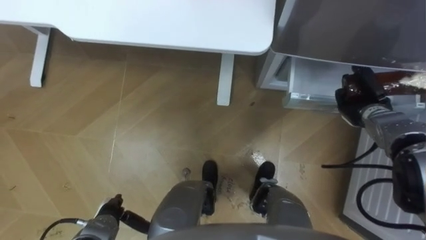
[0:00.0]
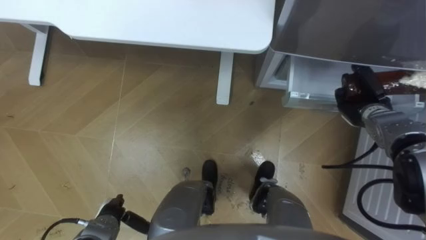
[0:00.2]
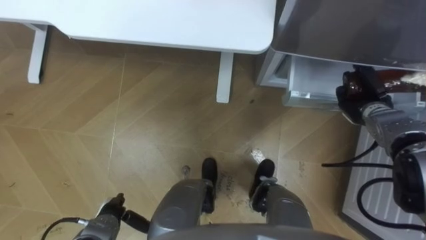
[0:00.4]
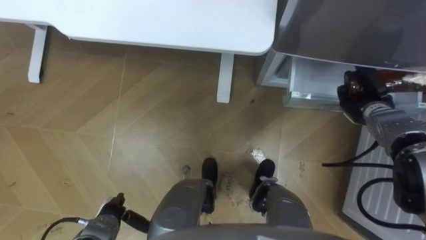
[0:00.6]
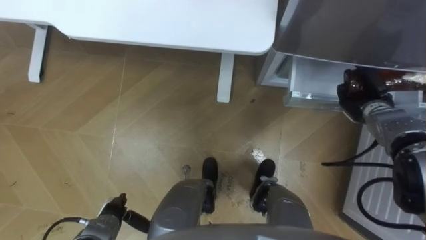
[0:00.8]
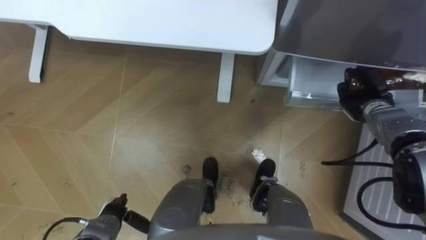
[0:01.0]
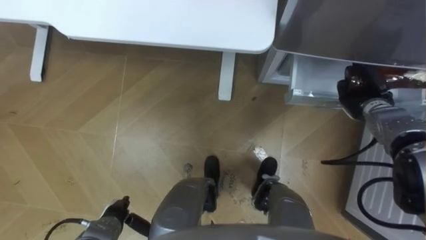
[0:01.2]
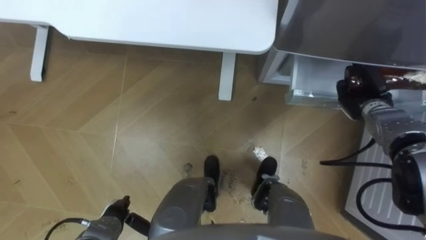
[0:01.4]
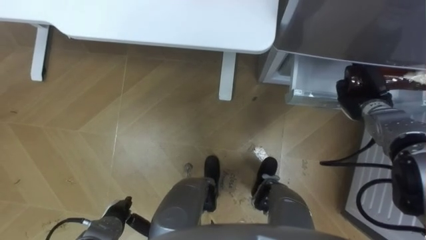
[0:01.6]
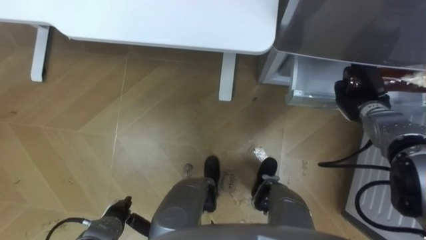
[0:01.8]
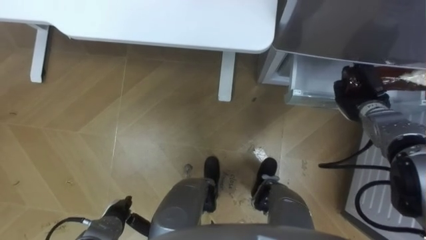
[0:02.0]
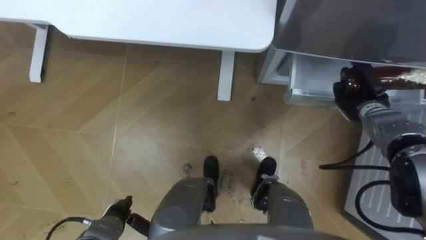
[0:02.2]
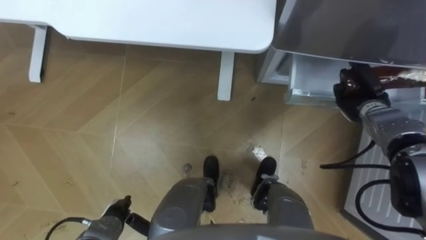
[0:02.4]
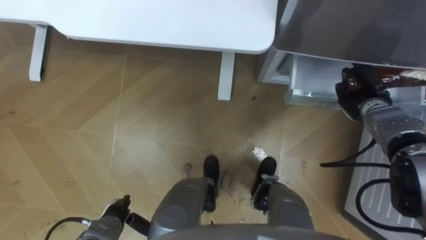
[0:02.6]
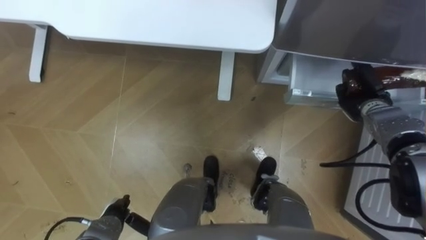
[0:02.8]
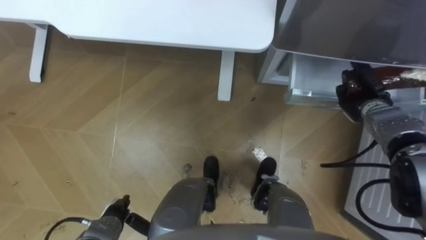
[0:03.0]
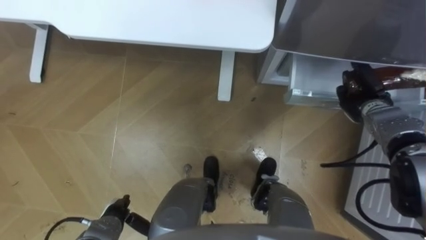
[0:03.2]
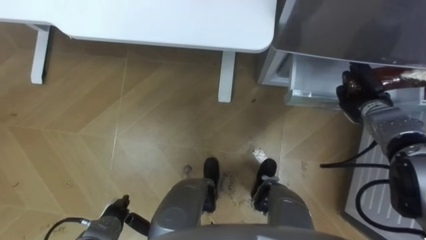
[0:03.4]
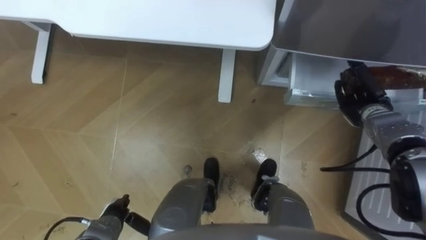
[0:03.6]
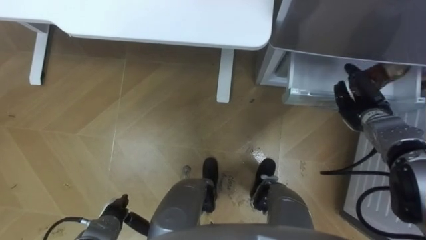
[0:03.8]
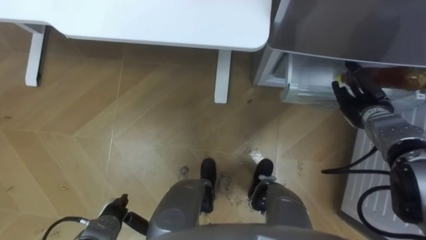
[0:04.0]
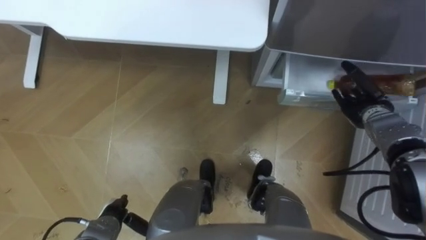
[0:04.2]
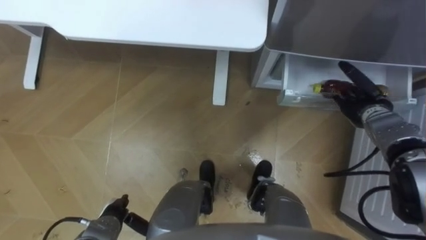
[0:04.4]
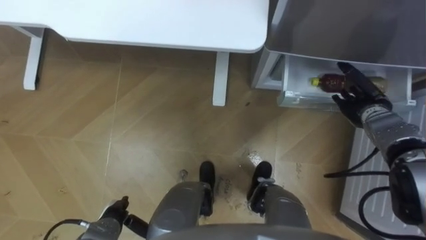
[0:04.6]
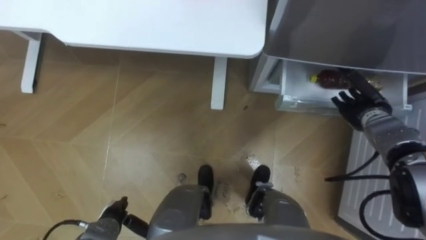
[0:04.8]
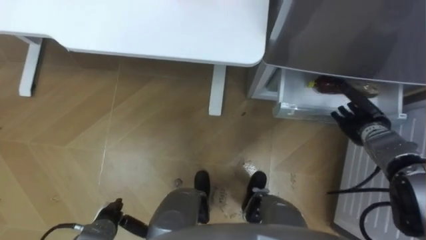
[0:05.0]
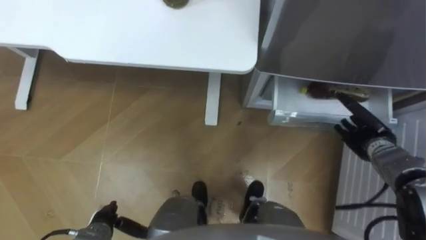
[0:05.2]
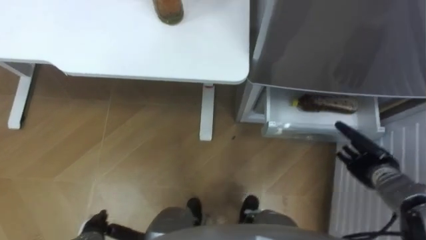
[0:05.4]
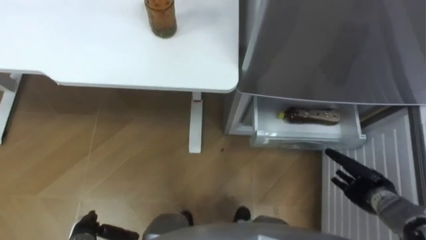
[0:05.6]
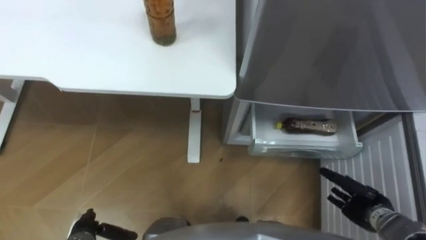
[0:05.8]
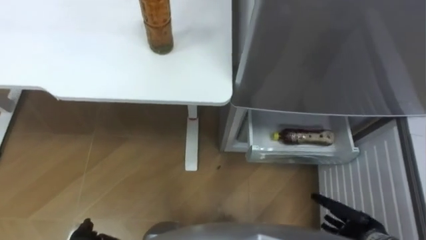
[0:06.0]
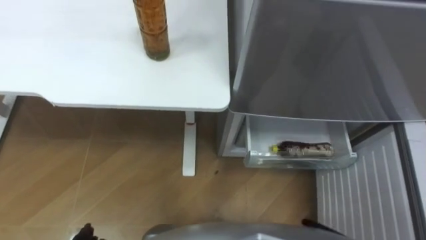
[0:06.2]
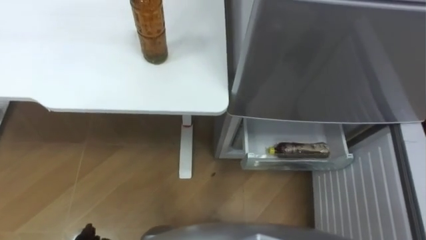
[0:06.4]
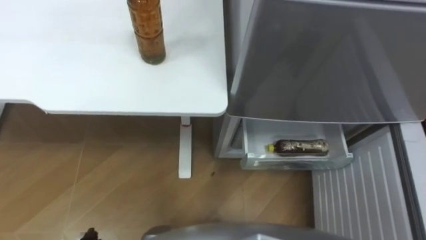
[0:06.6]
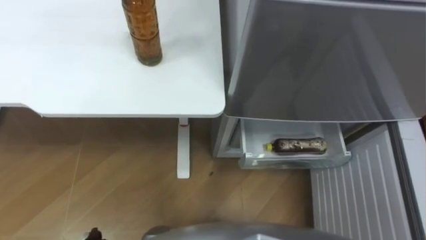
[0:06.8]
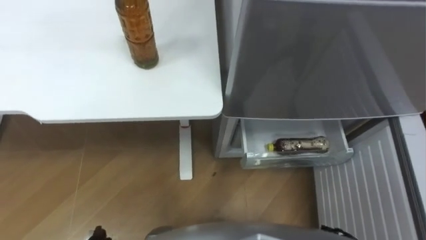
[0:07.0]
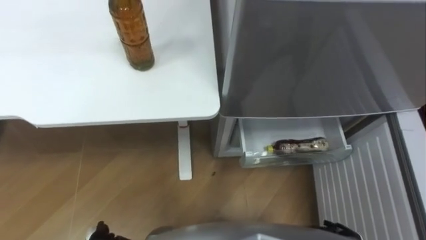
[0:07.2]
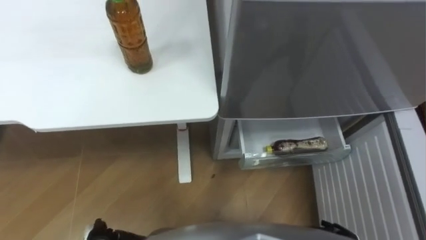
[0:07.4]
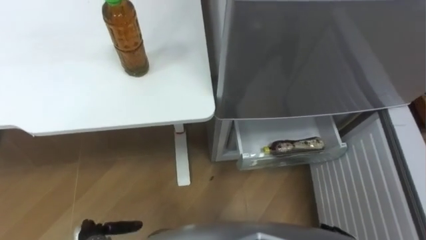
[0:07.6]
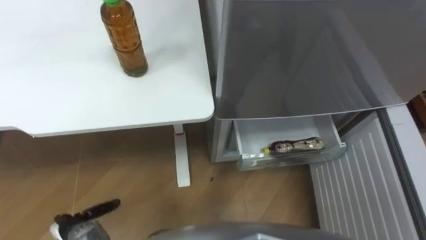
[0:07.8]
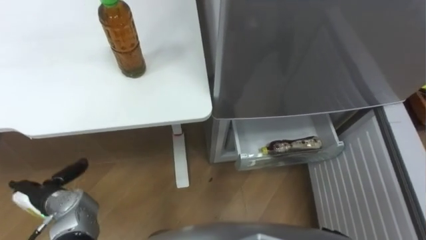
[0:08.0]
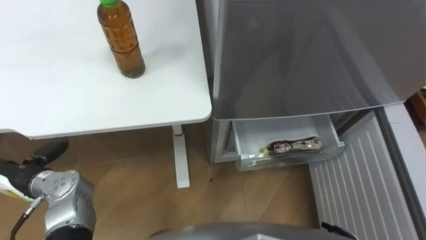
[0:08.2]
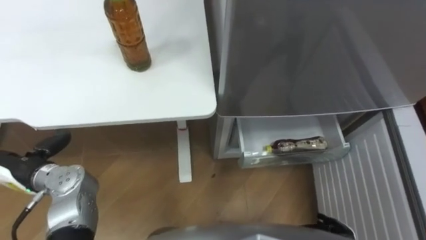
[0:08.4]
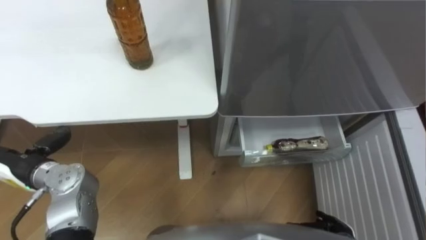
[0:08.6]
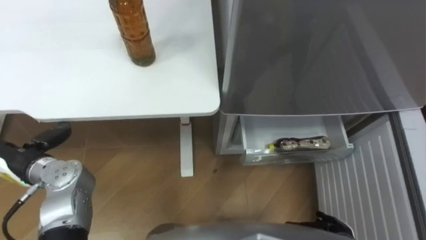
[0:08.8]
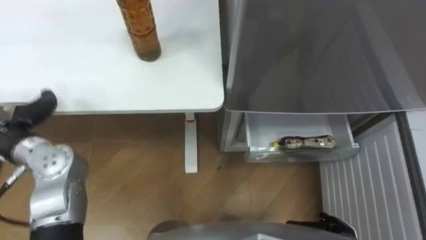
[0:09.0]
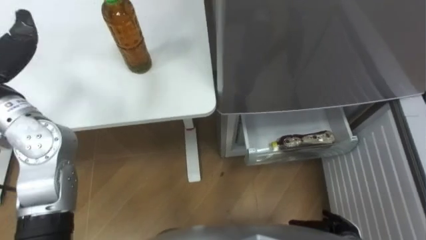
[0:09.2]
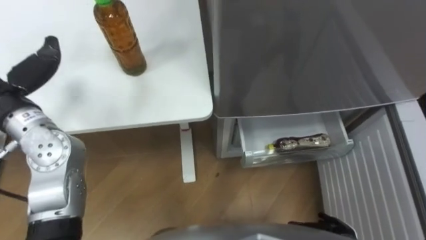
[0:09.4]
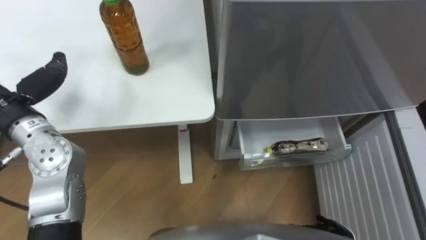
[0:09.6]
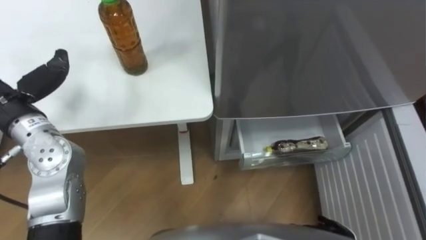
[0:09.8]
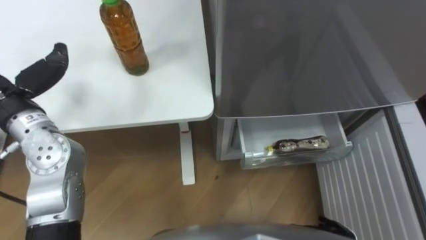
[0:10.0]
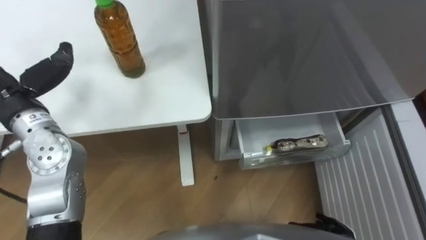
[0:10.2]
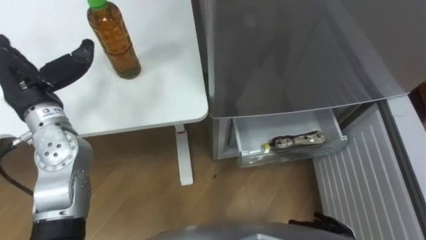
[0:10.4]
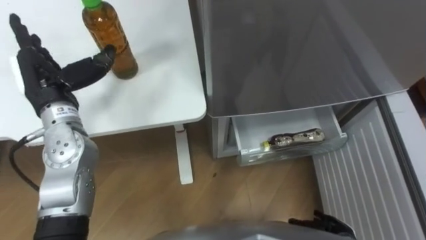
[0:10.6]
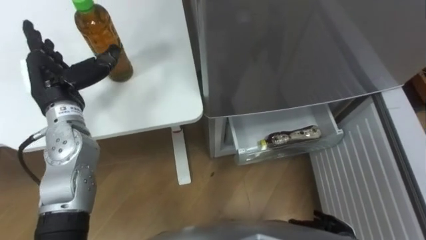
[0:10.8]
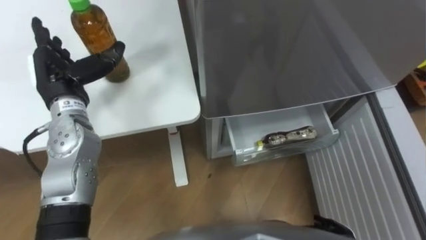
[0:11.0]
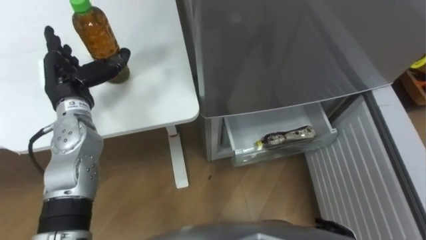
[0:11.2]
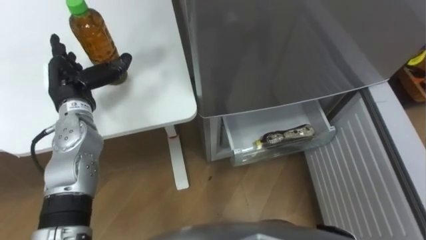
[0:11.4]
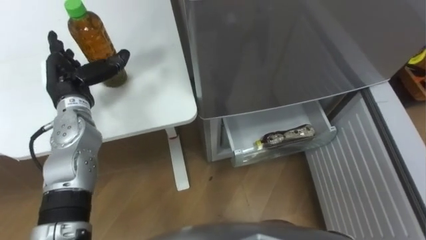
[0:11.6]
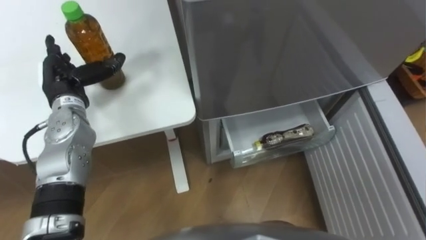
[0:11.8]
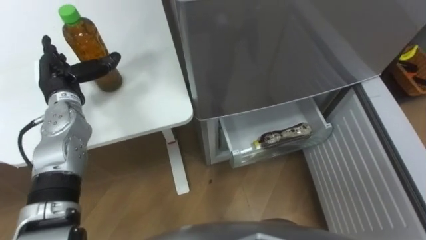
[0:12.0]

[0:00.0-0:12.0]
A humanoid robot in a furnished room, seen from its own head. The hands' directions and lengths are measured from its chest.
Task of the whole recording: Place the drink on the table on the bottom shelf of the refrigerator, then close the drawer and the refrigerator door.
0:01.6 to 0:03.0: The hands stay close to where they were, moving slightly.
0:03.0 to 0:04.4: The right hand opens its fingers.
0:04.4 to 0:06.0: The right hand goes some 25 cm backward and downward.
0:10.4 to 0:12.0: The left hand heads downward and forward, covering some 10 cm.

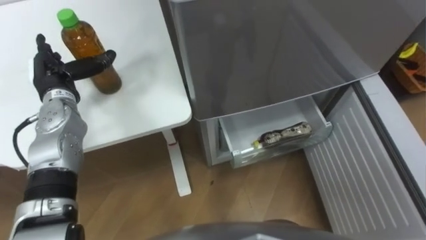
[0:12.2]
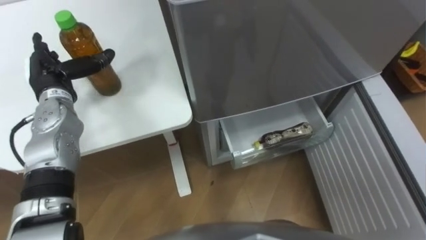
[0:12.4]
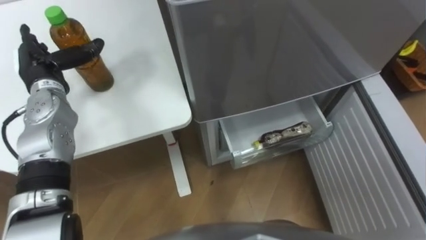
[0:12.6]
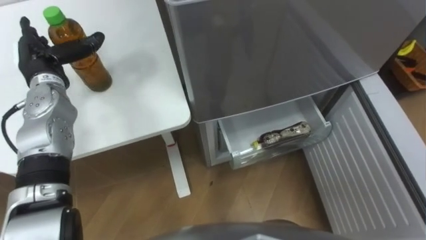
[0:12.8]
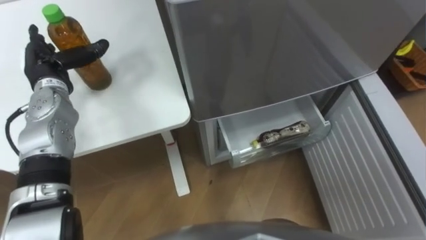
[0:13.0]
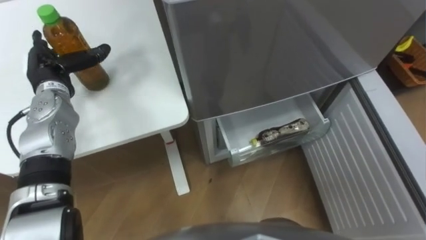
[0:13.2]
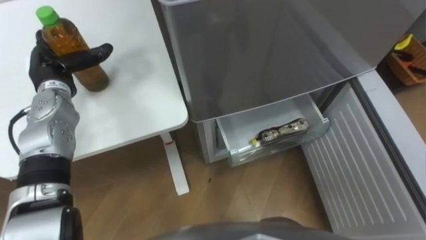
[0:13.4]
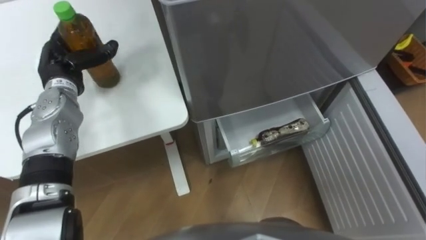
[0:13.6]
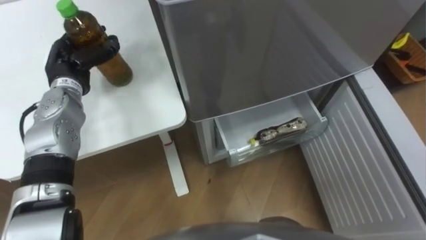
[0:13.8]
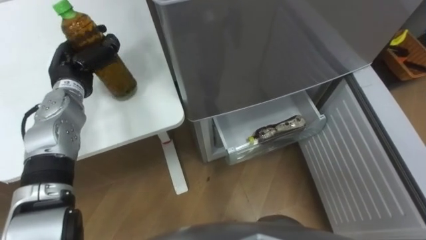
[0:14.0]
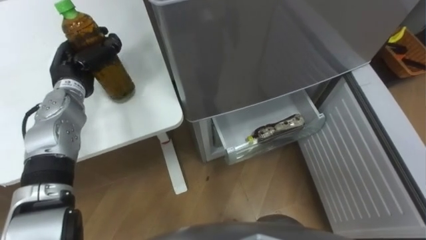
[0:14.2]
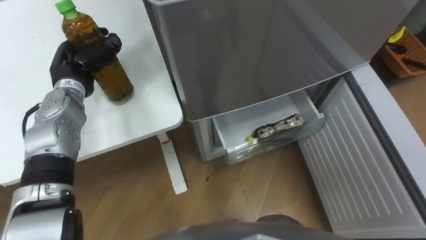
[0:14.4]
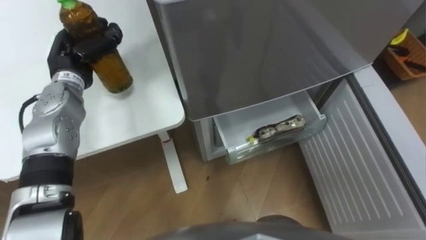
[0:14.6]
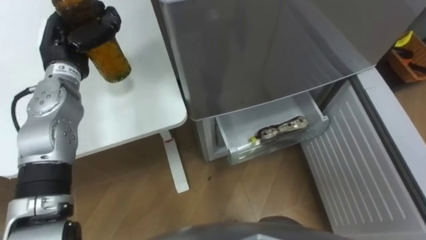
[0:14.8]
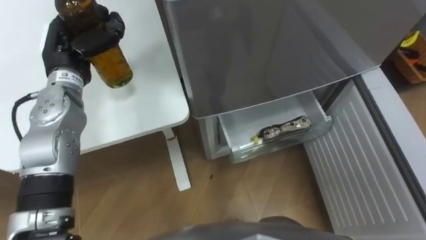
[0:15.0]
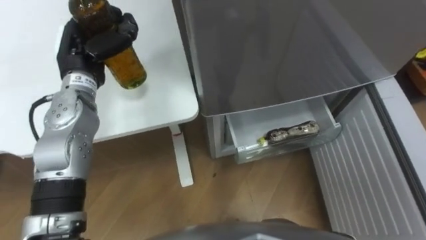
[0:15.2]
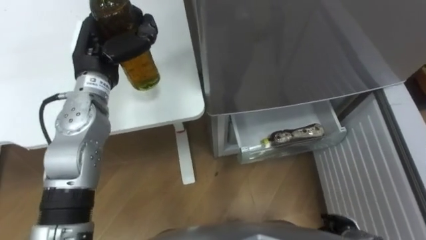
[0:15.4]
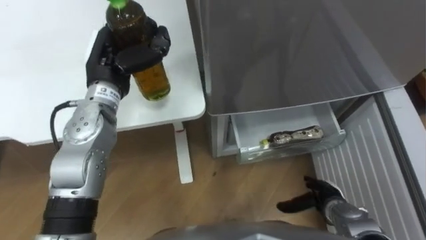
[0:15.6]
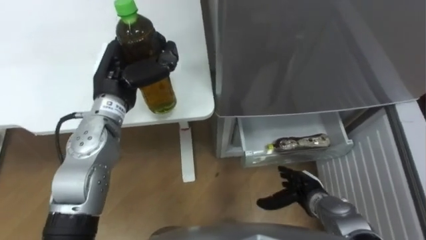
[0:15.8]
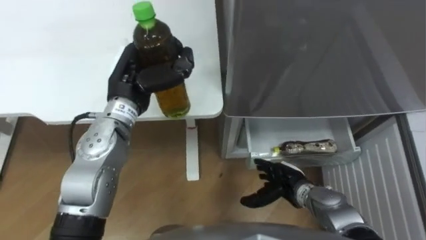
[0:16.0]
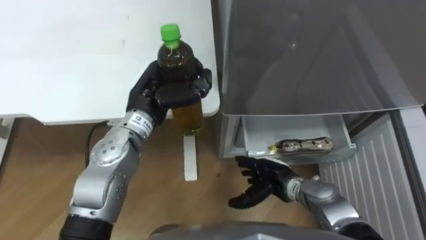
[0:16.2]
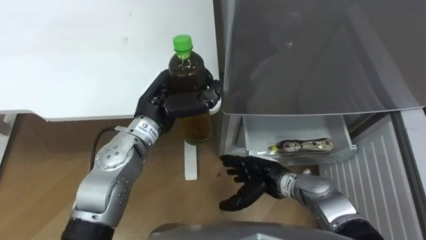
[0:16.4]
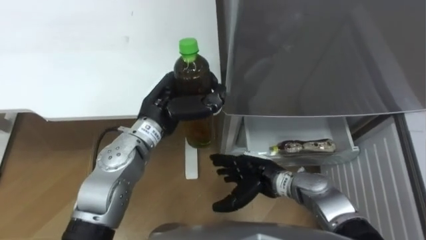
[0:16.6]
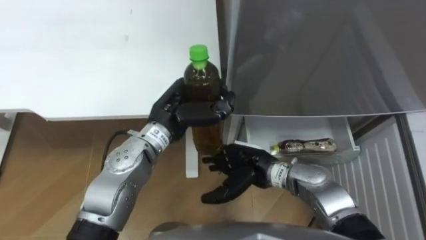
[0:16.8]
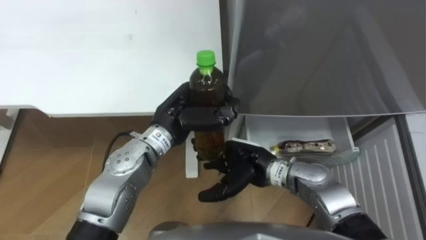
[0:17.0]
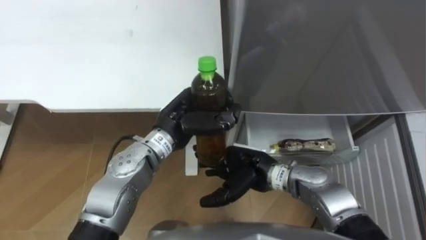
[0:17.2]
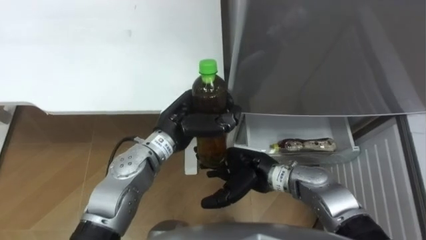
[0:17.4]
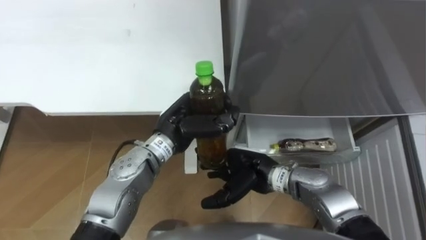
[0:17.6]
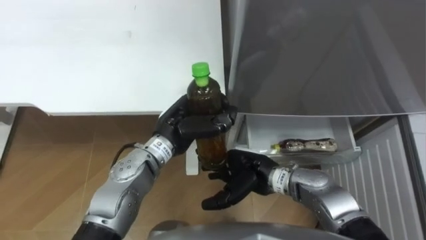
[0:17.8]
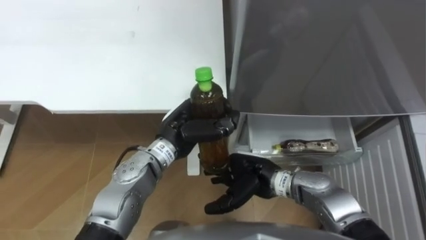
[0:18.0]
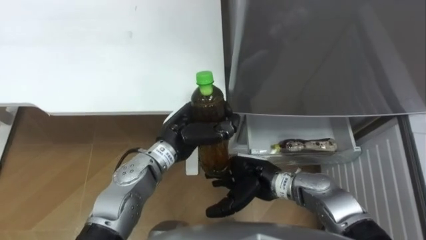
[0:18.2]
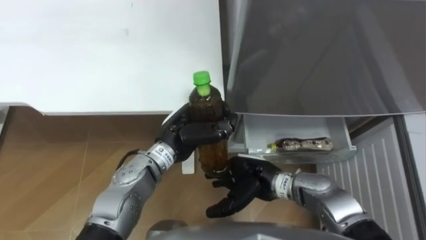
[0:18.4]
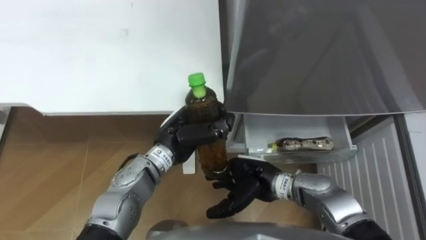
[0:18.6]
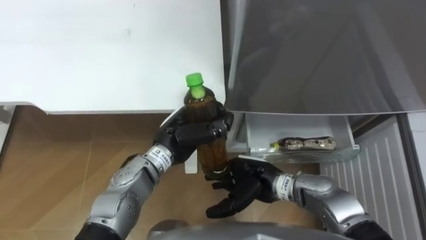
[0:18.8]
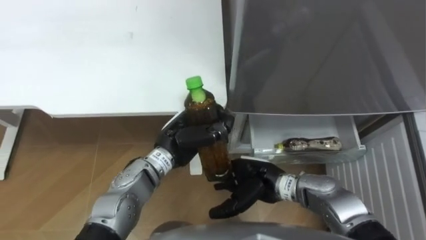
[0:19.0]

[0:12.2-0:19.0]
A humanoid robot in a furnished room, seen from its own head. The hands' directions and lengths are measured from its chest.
Task of the whole recording: Place the drink on the table on the bottom shelf of the refrigerator, then close the drawer and the refrigerator door.
0:13.6 to 0:15.0: The left hand is displaced upward by roughly 5 cm, and closes up.
0:15.0 to 0:16.2: The left hand travels to the right by some 15 cm.
0:16.2 to 0:17.6: The right hand is displaced to the left and upward by some 10 cm. The left hand travels to the right by approximately 5 cm.
